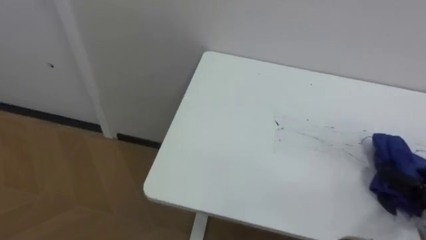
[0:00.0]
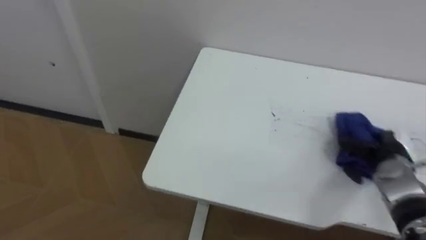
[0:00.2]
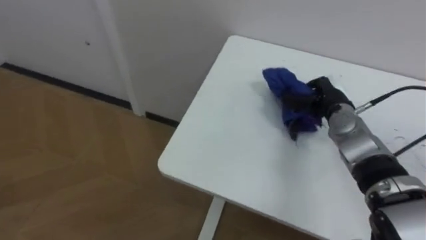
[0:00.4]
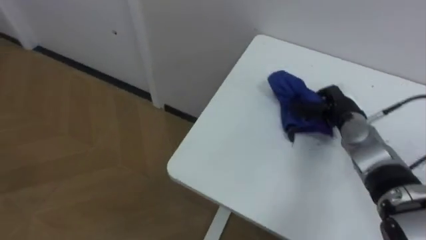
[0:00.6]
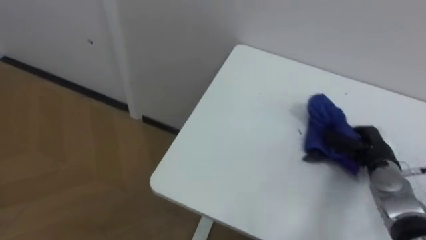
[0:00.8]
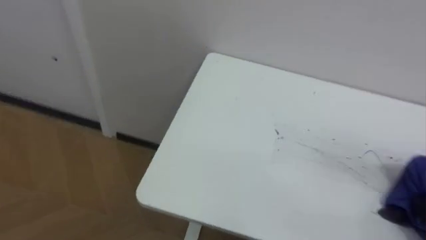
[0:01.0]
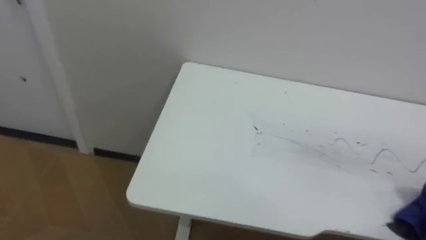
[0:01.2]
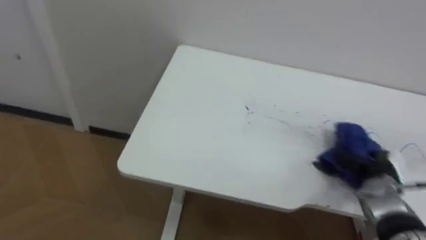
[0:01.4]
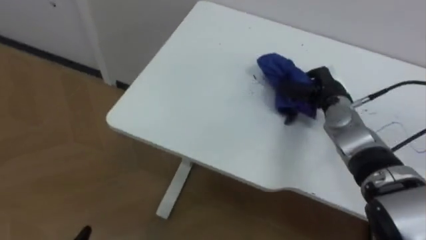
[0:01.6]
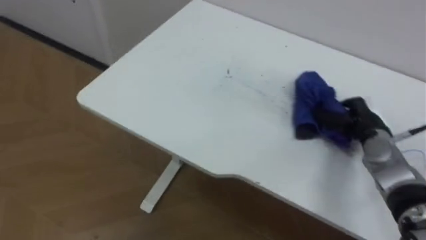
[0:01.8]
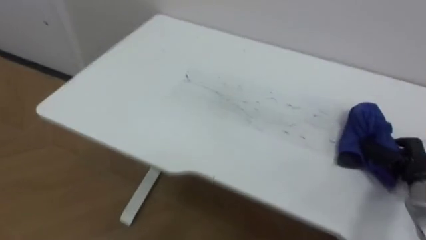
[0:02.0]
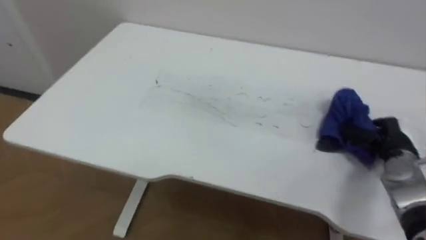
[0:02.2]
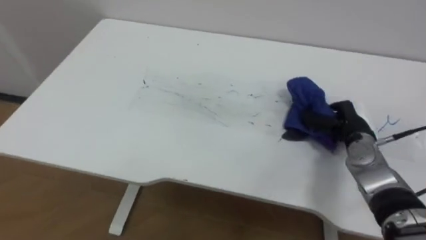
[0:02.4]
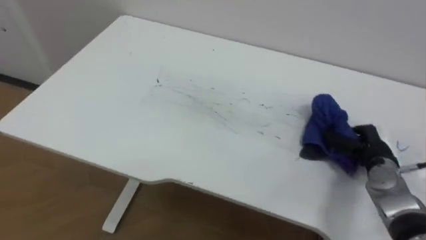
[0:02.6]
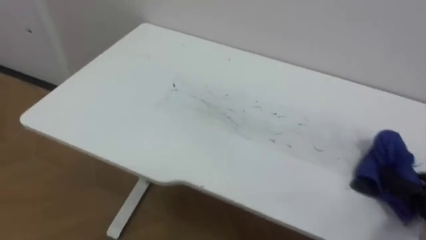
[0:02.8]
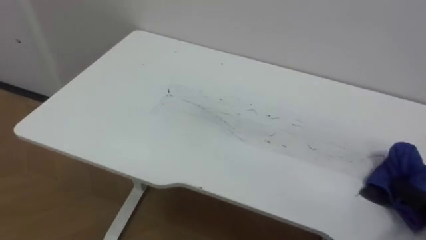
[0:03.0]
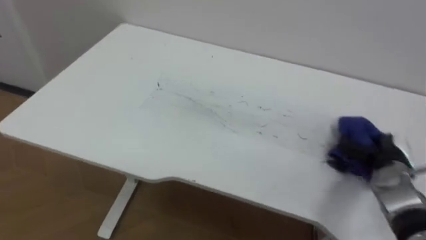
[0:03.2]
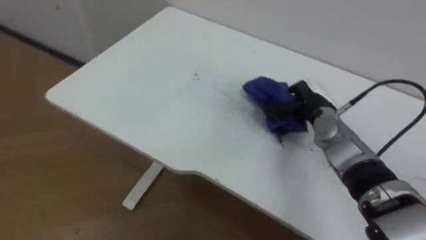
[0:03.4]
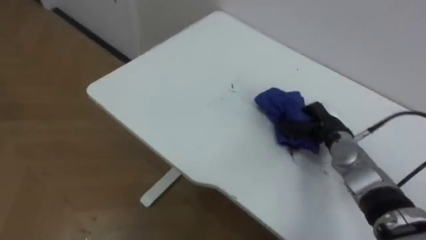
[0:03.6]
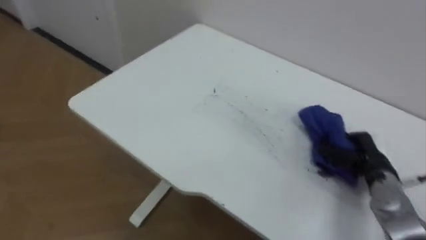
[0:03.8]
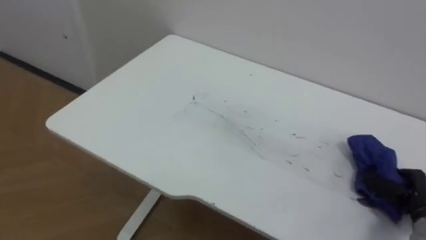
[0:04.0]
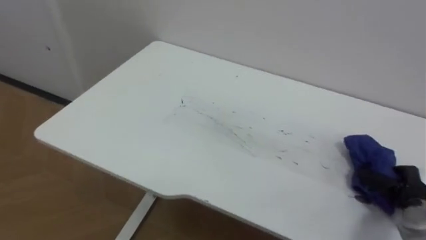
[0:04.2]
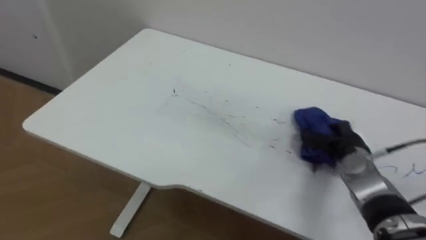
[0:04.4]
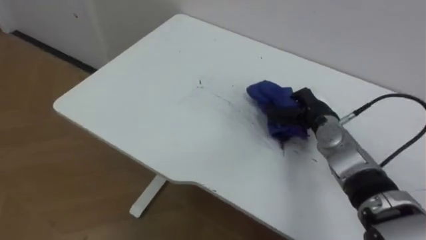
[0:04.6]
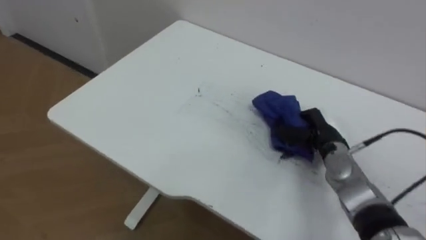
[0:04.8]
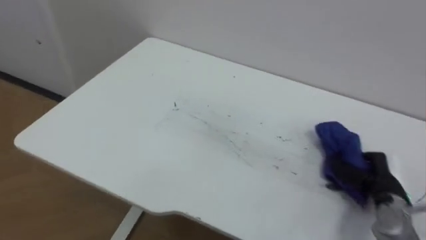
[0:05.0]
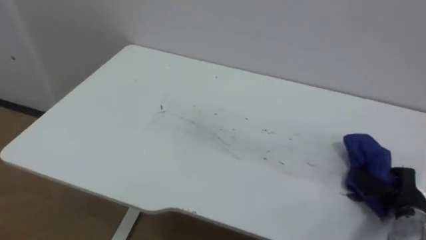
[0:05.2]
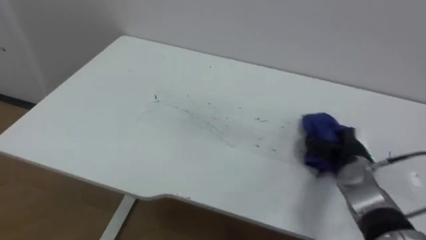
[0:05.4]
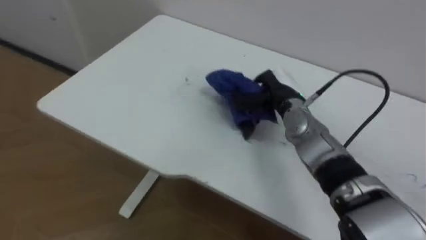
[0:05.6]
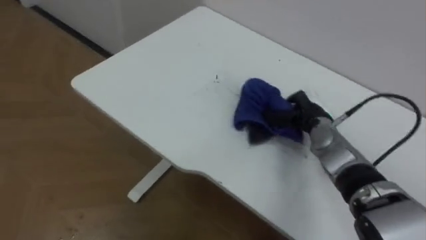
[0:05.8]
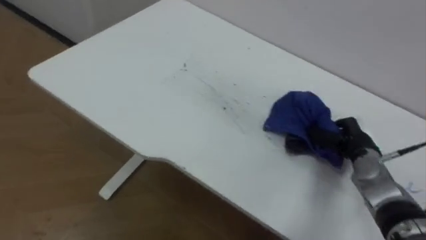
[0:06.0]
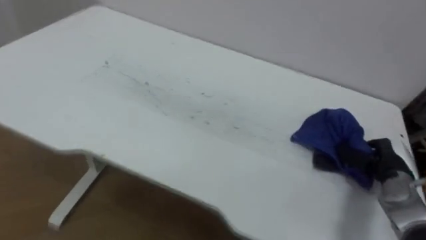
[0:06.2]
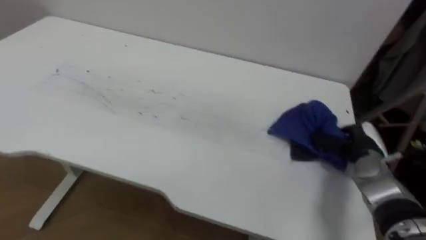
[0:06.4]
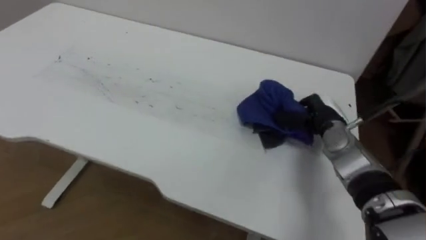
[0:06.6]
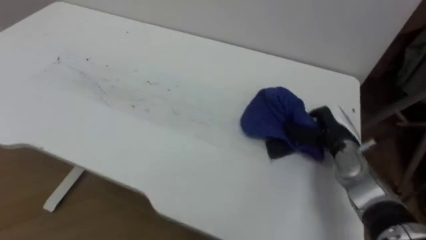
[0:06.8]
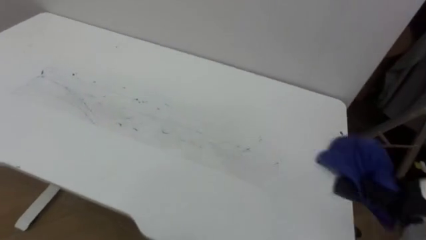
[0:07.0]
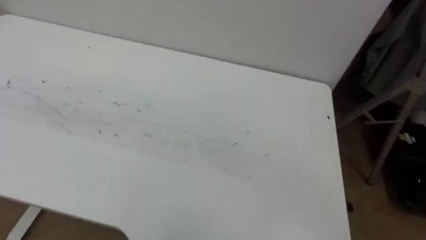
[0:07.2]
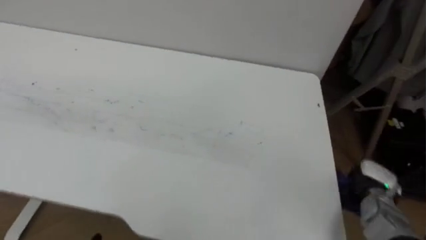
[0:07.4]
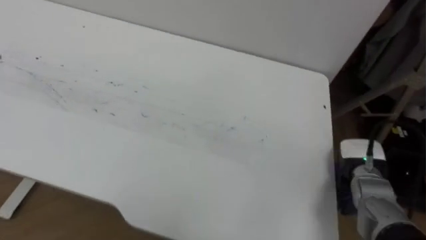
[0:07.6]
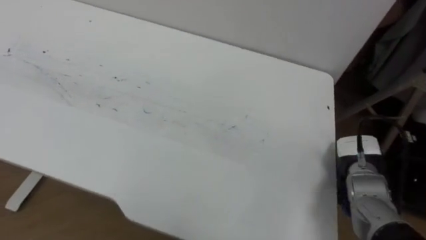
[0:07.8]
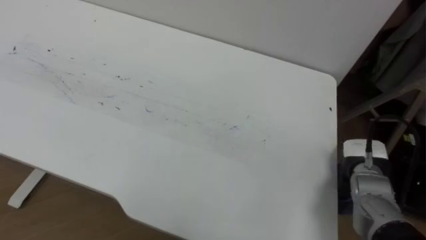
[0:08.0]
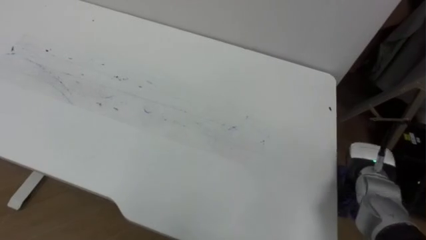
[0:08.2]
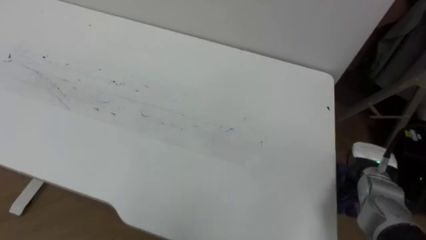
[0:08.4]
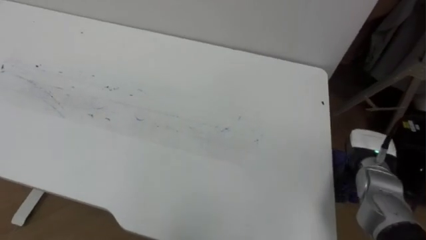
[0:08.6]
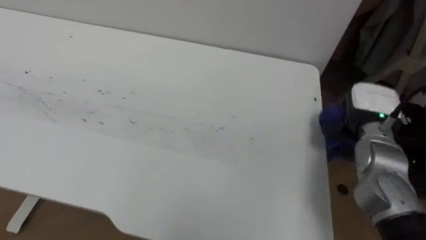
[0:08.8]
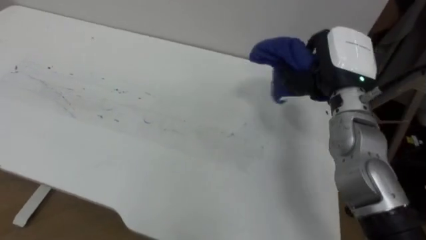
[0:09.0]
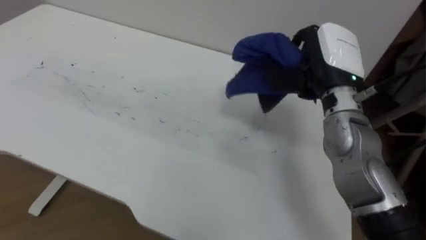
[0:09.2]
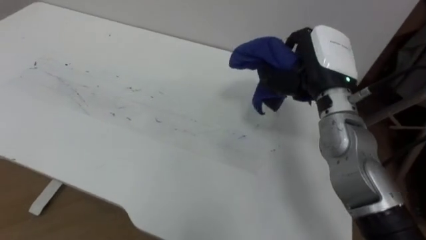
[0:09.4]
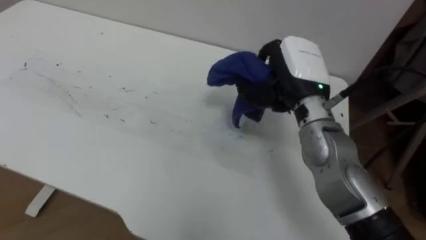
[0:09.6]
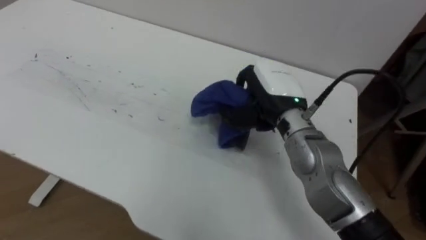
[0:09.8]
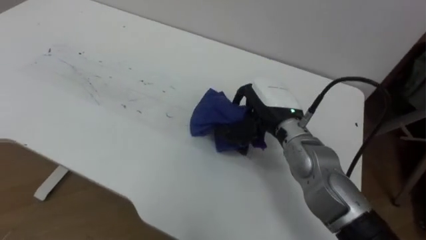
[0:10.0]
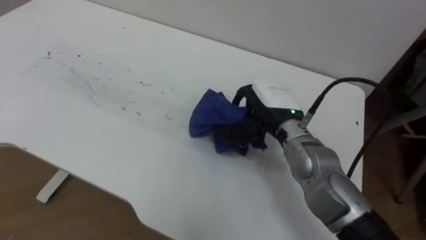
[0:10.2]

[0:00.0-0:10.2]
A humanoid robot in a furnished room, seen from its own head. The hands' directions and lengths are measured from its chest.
Task of the whole recording: Wipe the blue pen marks off the table with the rag.
0:04.4 to 0:05.8: The right hand goes left and right, some 25 cm each way, reversing 3 times.
0:08.8 to 0:10.2: The right hand moves to the left, roughly 20 cm.

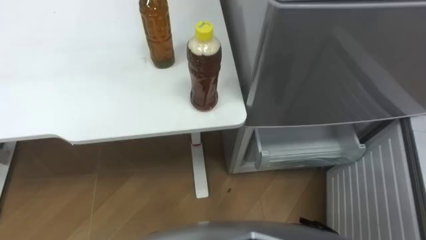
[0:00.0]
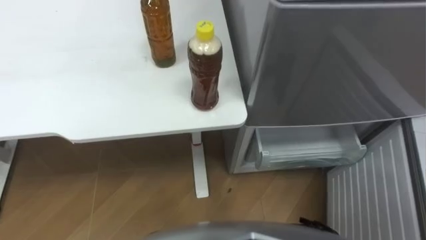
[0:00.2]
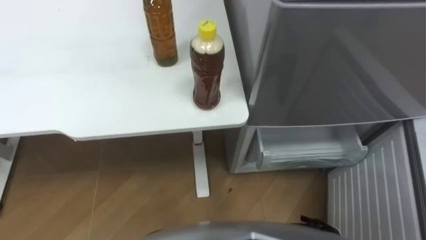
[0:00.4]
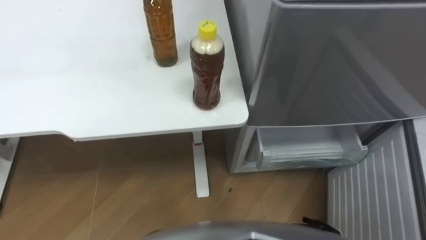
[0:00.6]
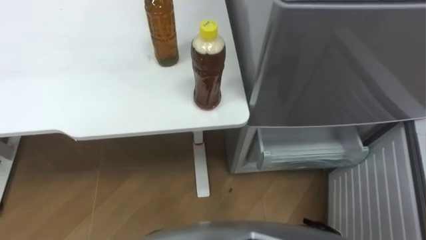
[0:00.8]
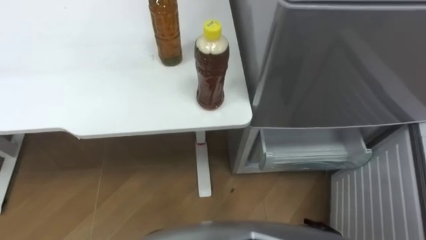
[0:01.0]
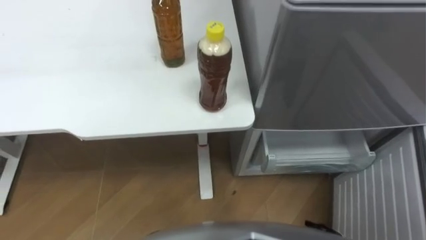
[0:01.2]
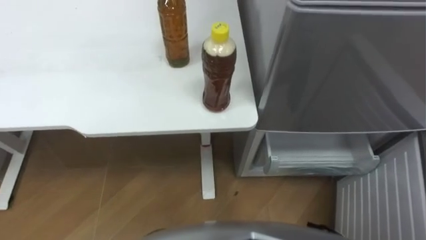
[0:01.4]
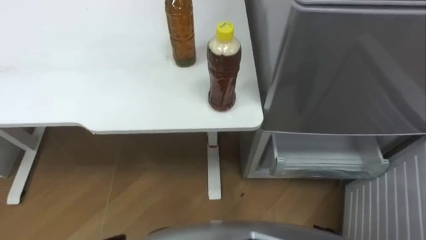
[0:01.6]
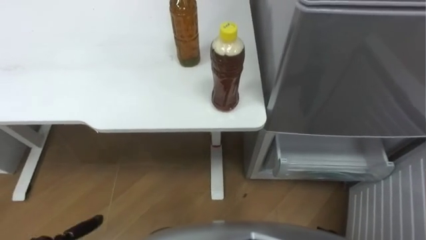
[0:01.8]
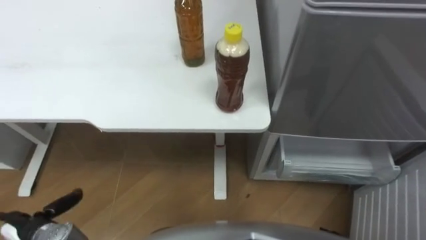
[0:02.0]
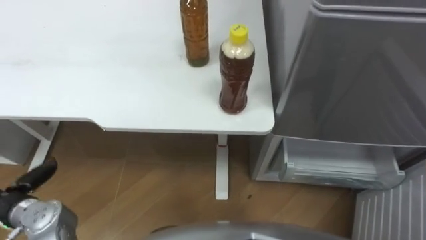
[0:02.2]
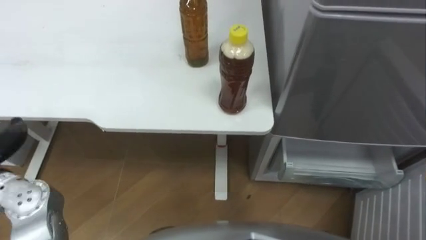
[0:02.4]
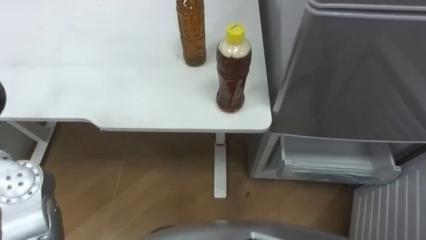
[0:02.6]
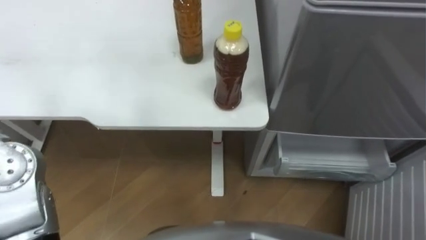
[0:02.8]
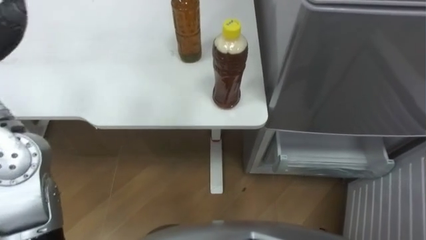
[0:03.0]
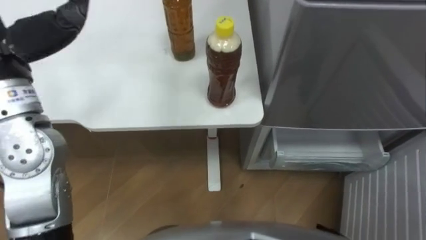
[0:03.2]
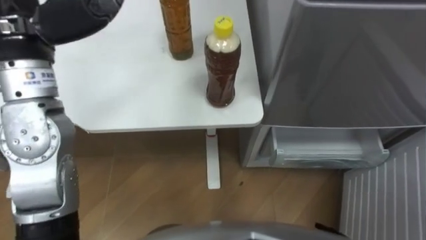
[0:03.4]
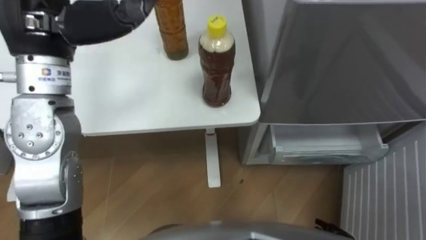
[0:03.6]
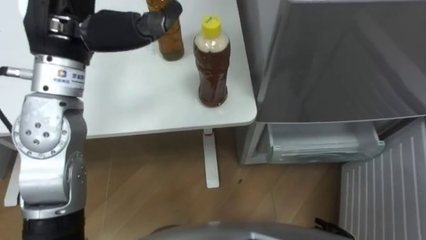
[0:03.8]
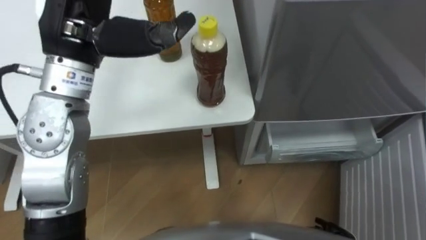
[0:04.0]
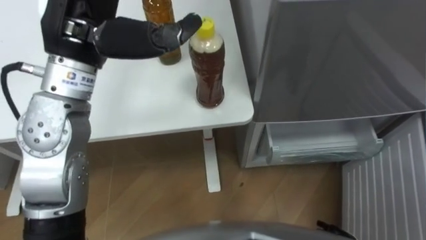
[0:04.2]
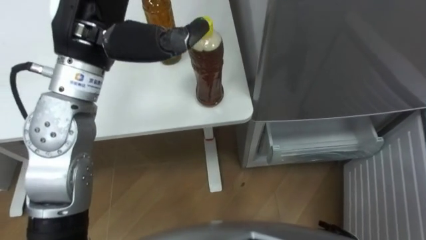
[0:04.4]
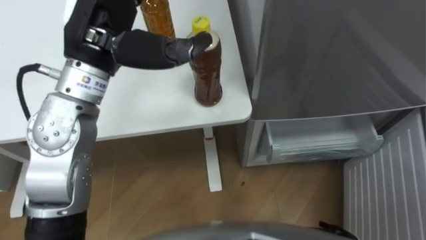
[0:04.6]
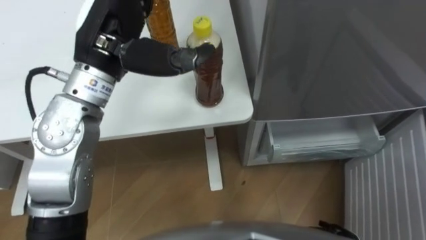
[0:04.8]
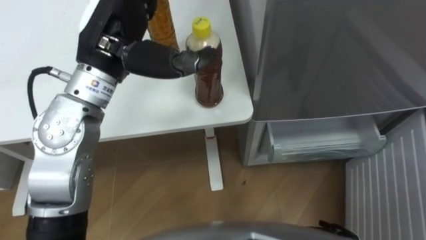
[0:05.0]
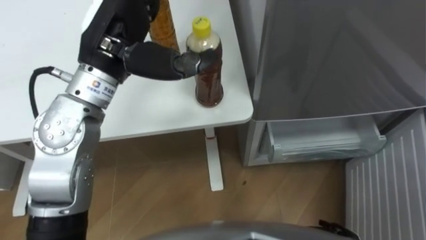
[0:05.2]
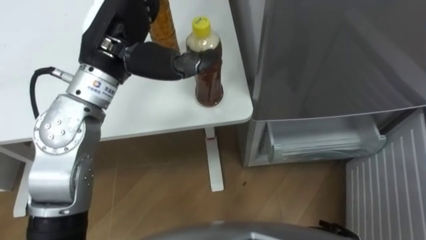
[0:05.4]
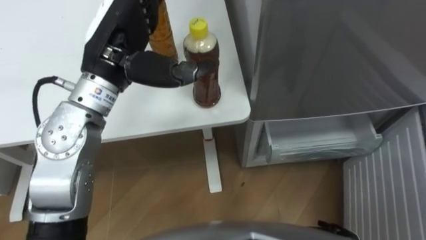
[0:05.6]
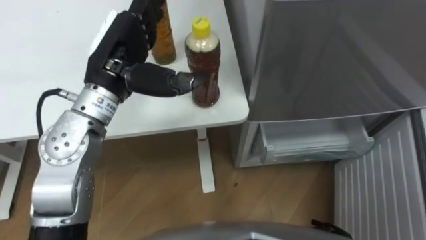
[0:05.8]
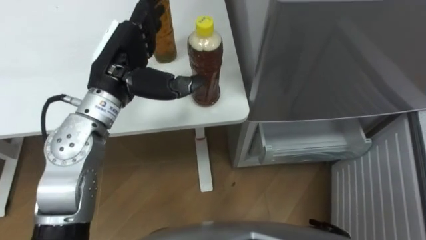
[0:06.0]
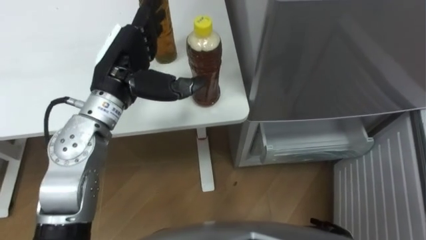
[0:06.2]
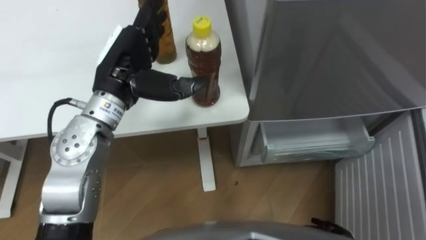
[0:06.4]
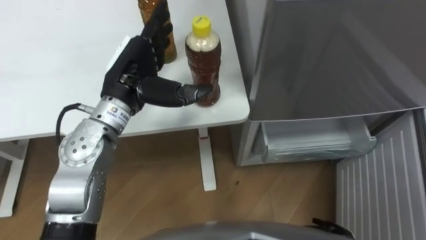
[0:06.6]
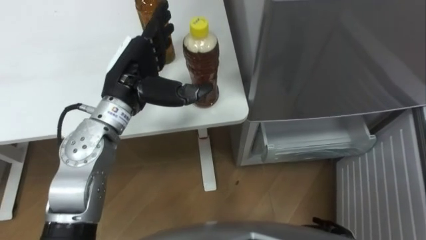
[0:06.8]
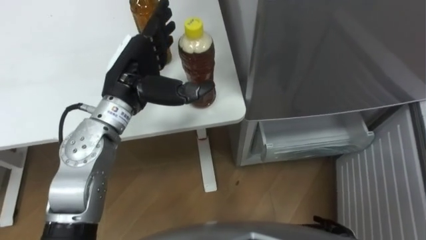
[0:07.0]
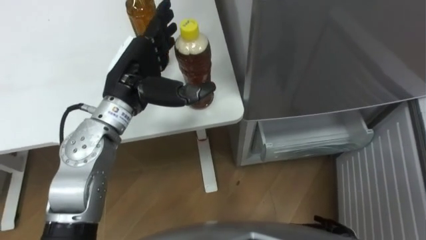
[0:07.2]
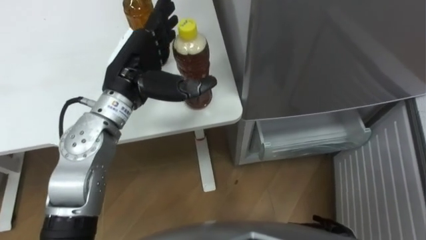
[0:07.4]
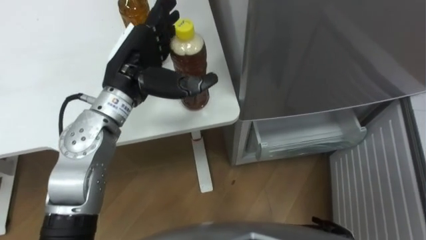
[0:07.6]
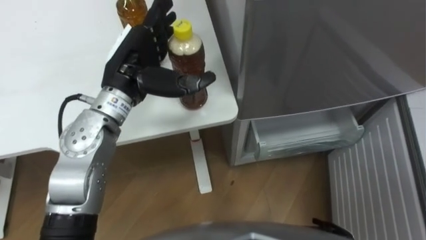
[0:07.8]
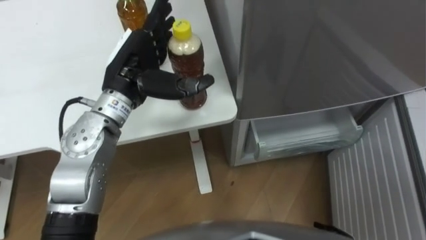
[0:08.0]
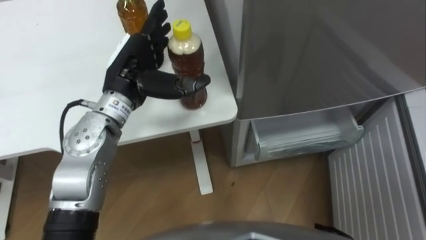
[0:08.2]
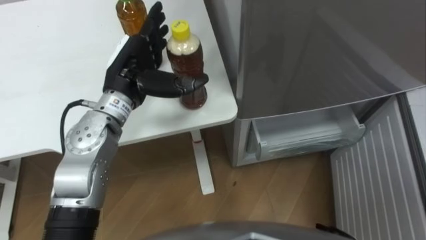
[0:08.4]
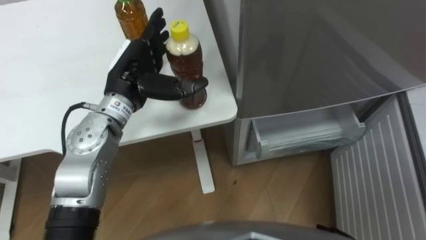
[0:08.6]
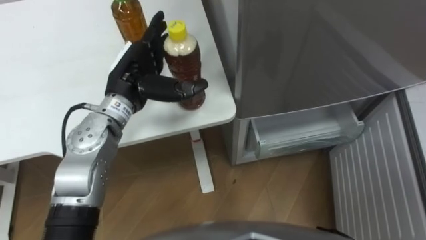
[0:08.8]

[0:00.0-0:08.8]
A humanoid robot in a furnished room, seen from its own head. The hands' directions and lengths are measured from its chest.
Task of the whole recording: Place the drink on the table on the bottom shelf of the refrigerator, then close the drawer and the refrigerator door.
0:04.4 to 0:05.8: The left hand shifts some 10 cm downward.
